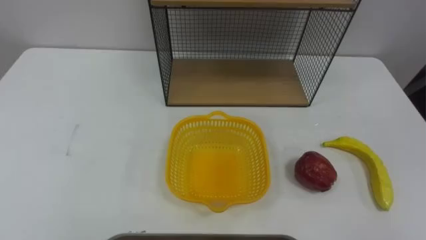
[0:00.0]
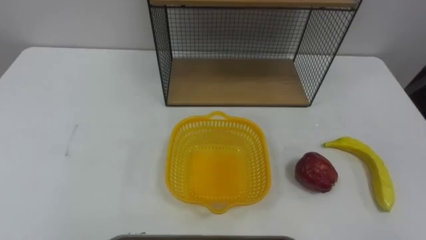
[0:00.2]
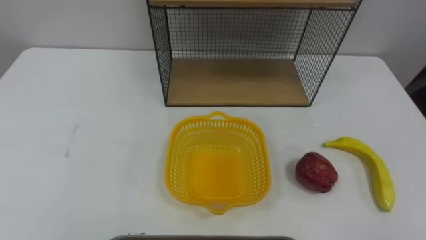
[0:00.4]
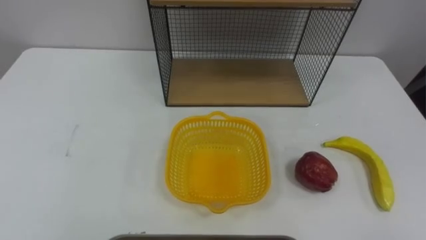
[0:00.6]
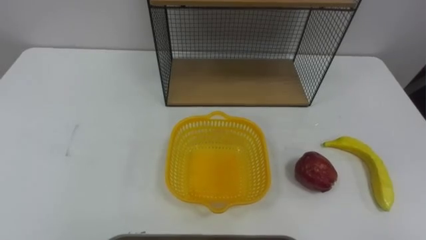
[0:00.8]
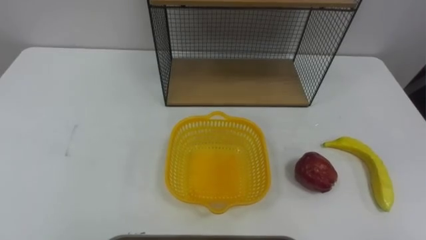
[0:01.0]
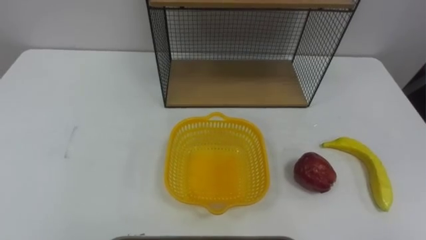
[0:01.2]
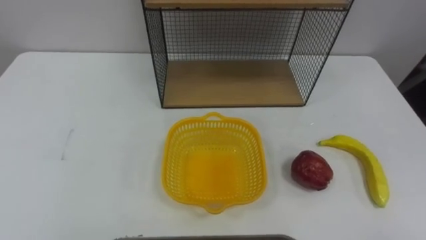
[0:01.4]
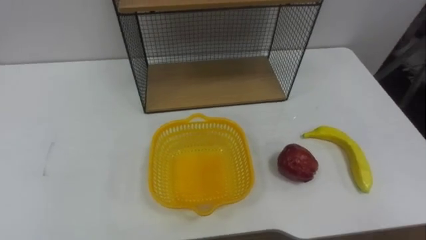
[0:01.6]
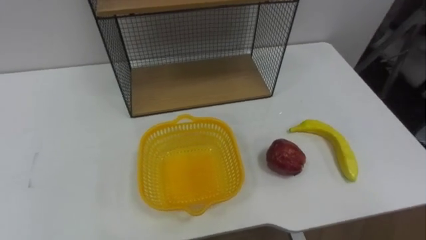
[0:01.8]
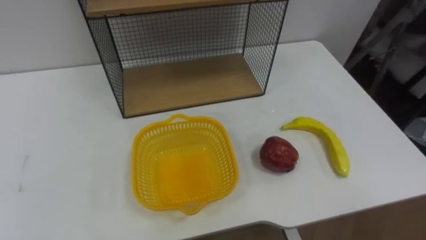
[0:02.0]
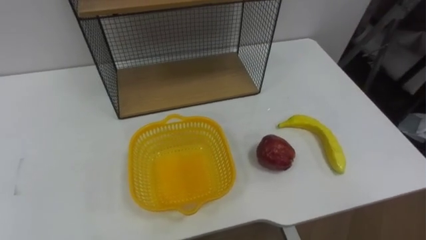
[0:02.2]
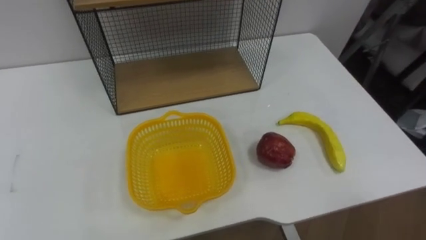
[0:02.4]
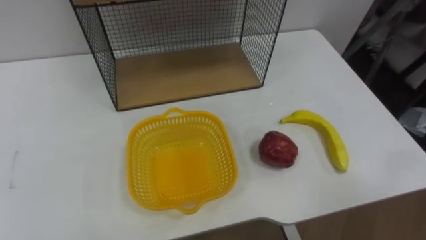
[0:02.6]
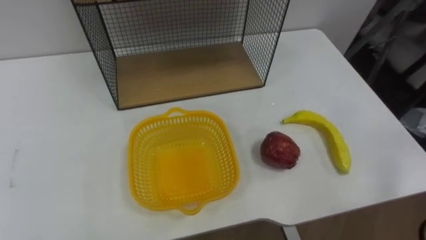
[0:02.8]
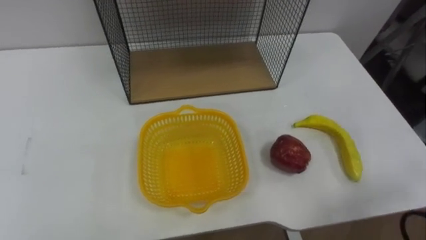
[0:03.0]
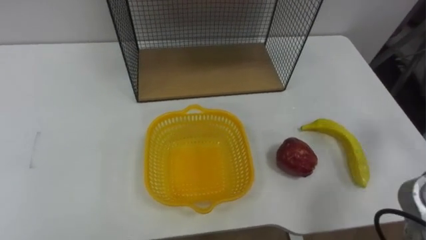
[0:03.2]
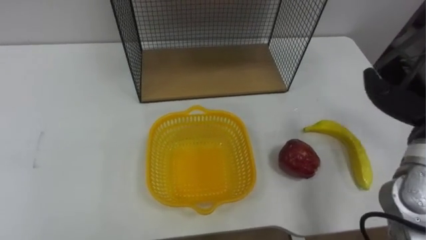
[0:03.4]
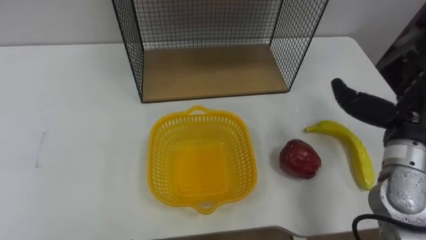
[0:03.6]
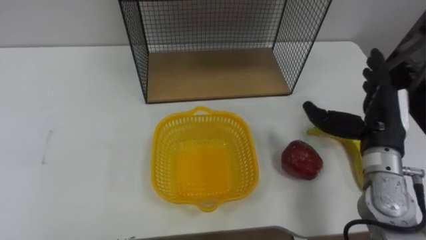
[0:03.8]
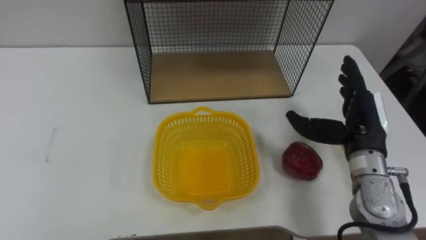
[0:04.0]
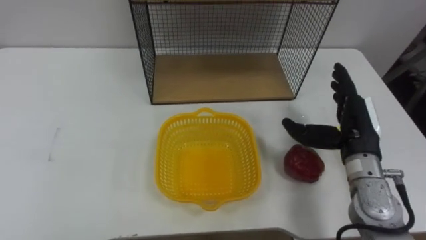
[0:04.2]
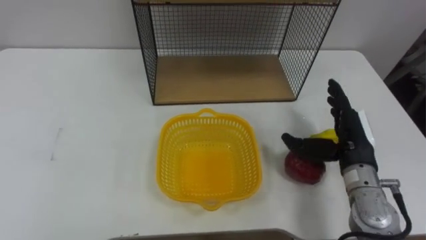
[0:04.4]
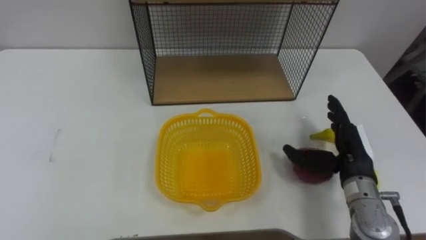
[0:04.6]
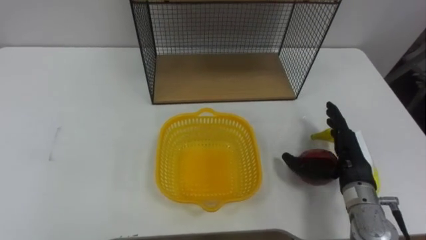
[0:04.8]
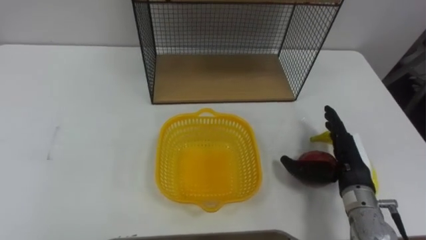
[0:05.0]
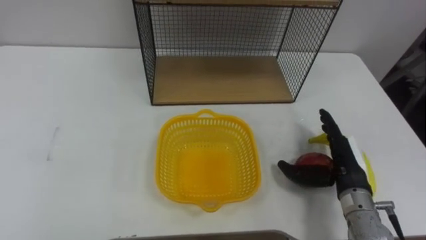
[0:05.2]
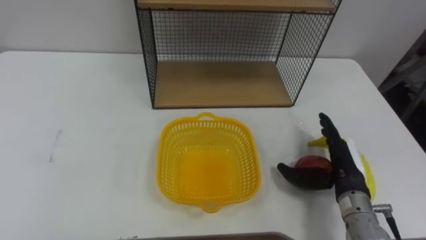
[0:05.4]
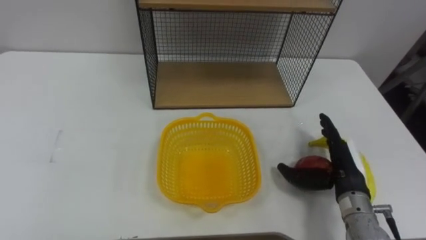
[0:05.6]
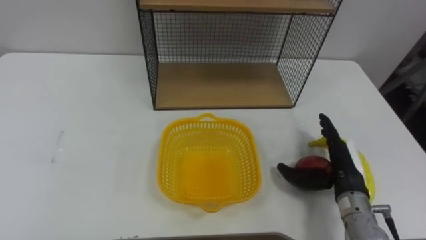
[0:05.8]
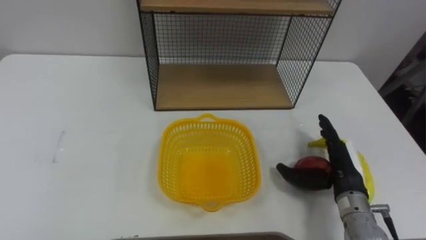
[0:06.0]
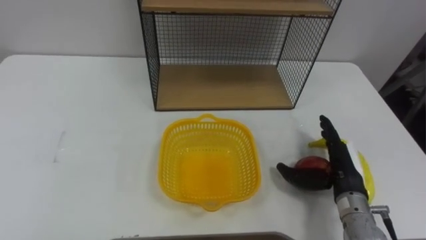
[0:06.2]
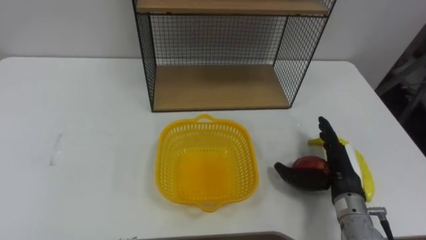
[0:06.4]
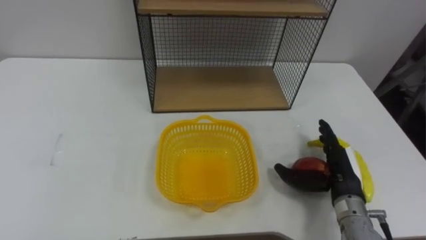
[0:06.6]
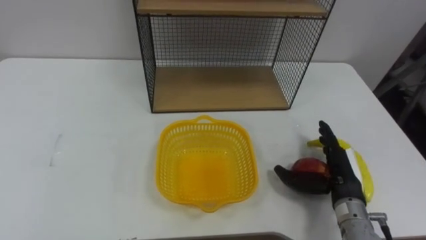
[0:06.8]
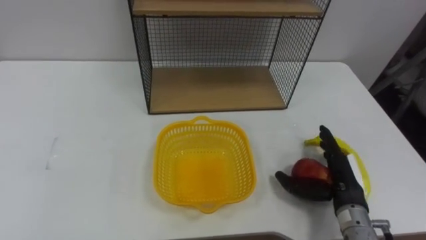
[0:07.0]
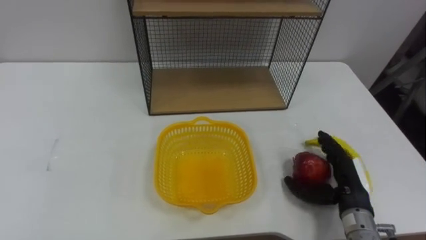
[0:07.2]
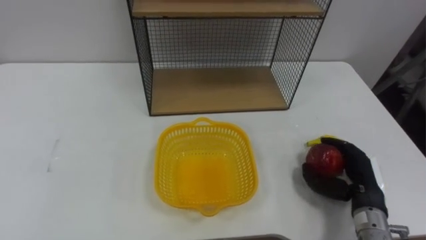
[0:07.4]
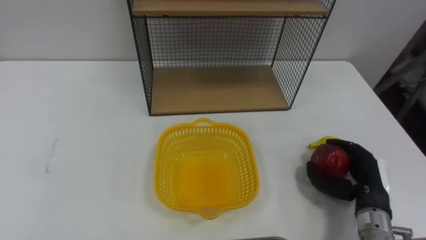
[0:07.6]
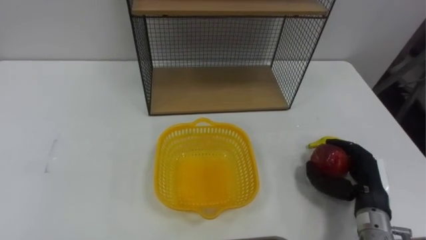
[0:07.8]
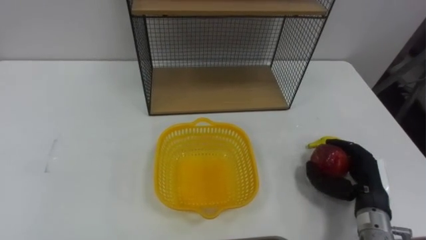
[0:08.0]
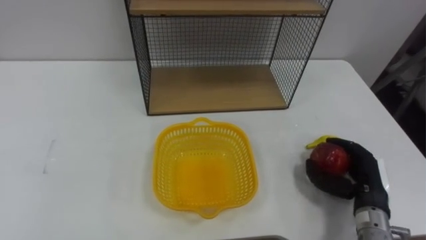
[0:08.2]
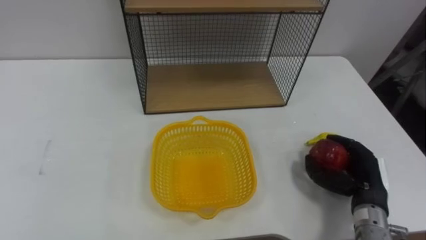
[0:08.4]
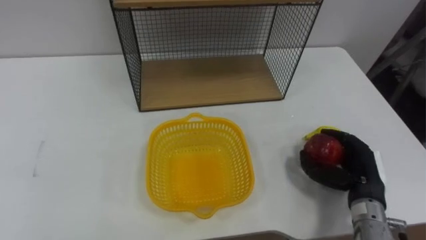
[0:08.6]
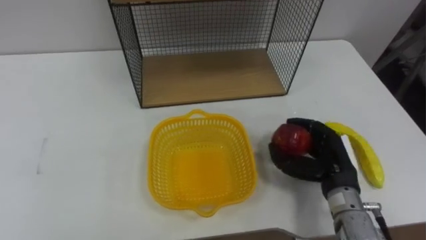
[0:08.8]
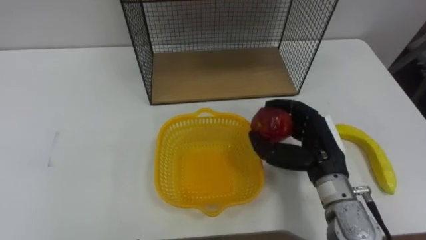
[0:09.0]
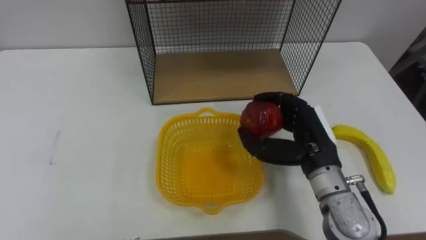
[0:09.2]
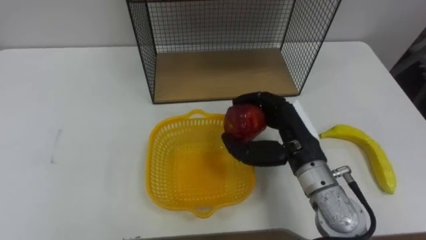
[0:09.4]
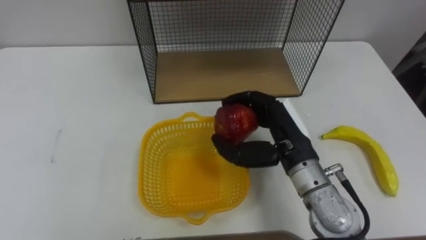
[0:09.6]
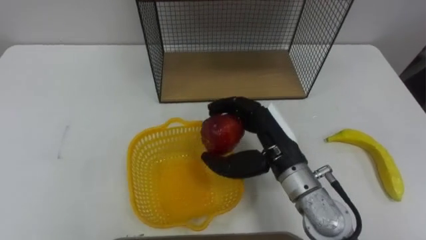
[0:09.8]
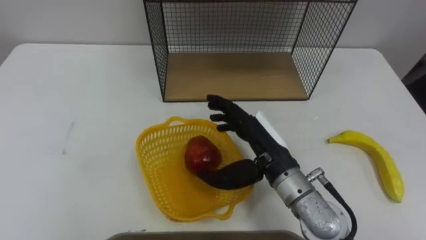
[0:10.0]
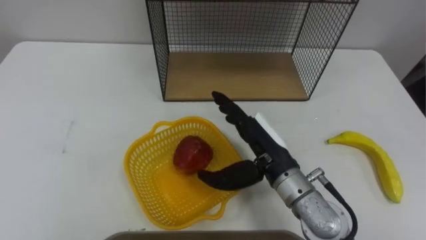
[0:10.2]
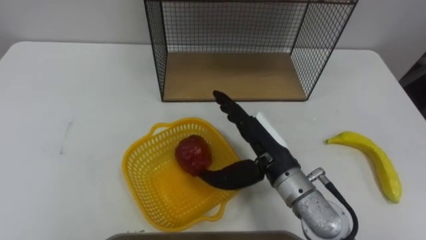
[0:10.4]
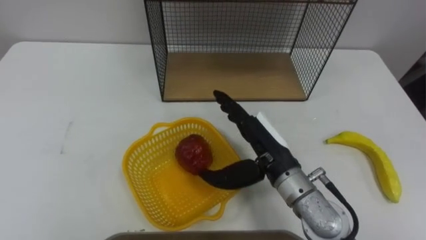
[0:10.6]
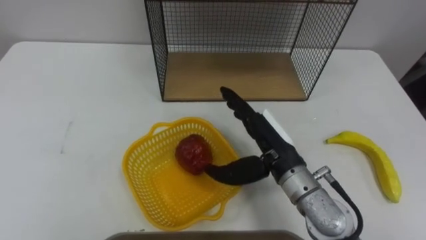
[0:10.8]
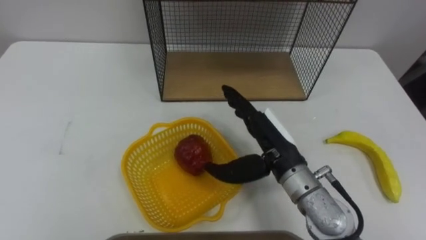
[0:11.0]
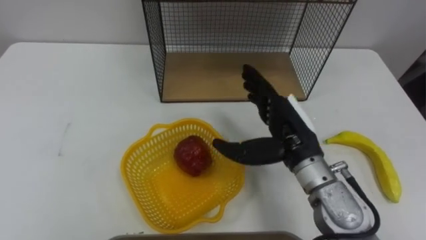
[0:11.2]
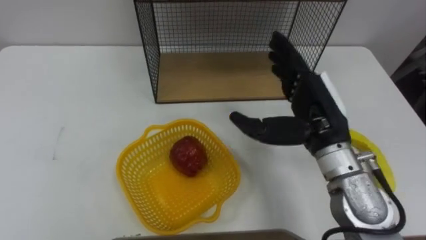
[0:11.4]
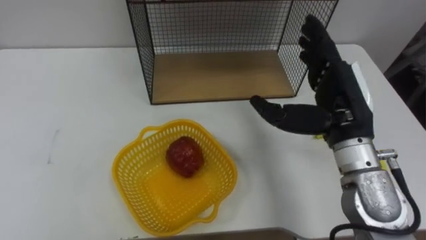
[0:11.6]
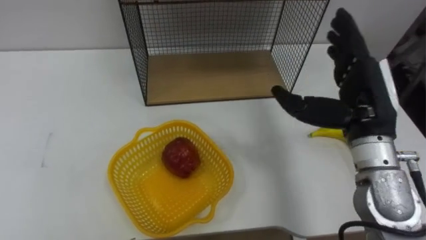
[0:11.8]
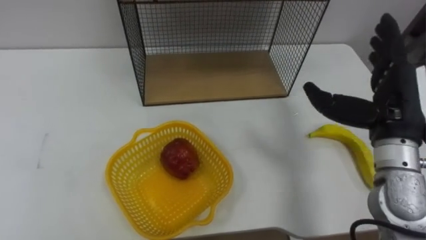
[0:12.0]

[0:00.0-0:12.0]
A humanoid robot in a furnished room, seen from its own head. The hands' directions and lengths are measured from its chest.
Task of the whole recording: Put the fruit on the table into the basket, then place the basket on the shelf.
0:04.4 to 0:06.0: The right hand travels downward by approximately 5 cm.
0:06.0 to 0:07.6: The right hand changes place by some 5 cm, and closes its fingers.
0:07.6 to 0:09.0: The right hand travels to the left and upward by some 15 cm.
0:09.0 to 0:10.4: The right hand is displaced to the left by about 10 cm, and opens.
0:10.4 to 0:12.0: The right hand travels to the right and upward by roughly 20 cm.

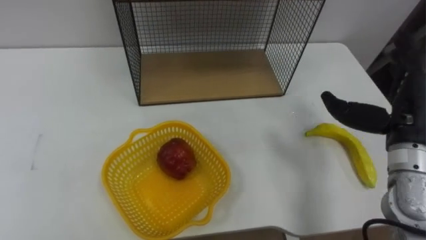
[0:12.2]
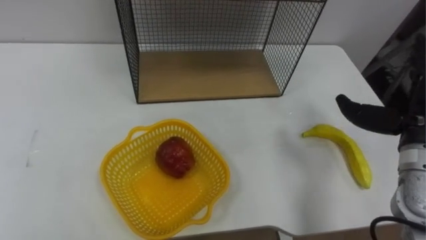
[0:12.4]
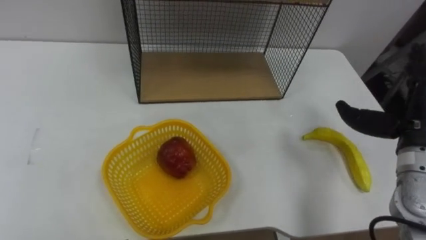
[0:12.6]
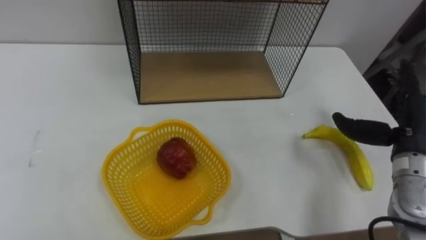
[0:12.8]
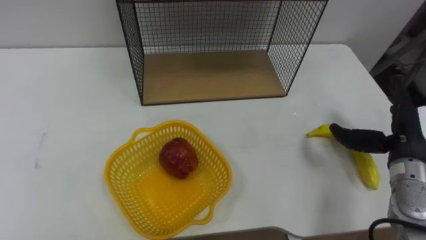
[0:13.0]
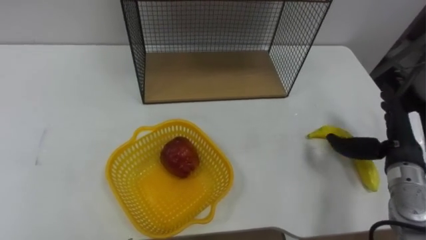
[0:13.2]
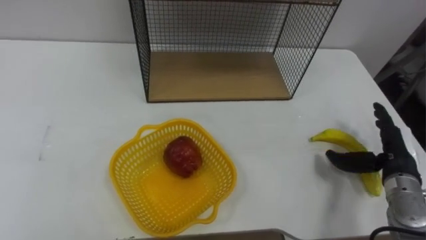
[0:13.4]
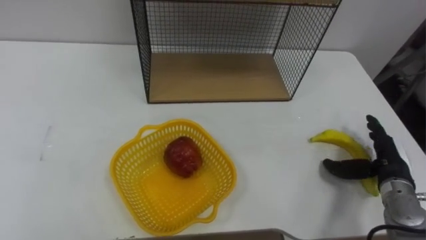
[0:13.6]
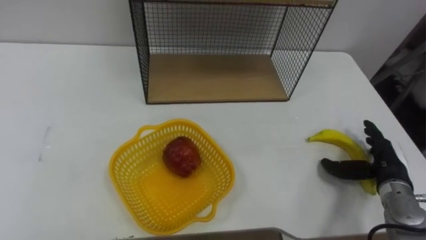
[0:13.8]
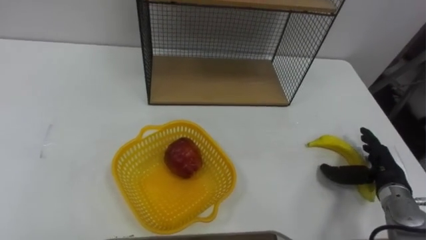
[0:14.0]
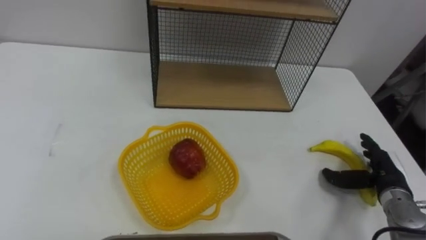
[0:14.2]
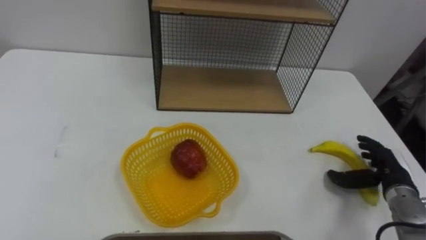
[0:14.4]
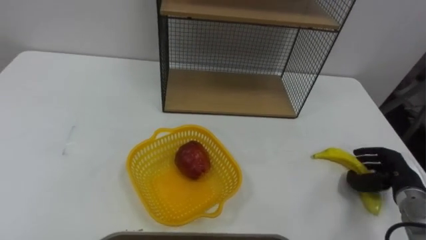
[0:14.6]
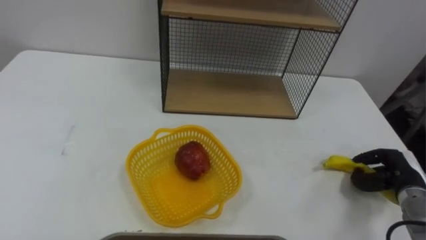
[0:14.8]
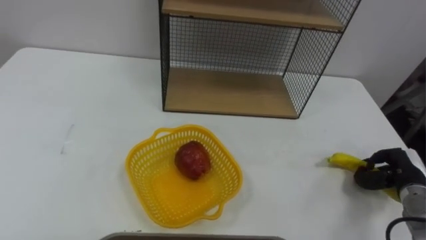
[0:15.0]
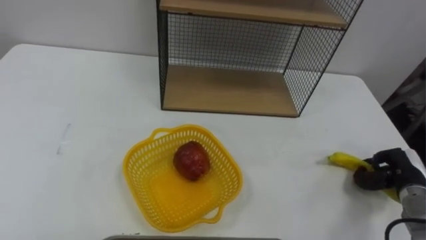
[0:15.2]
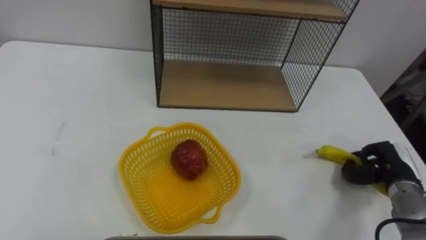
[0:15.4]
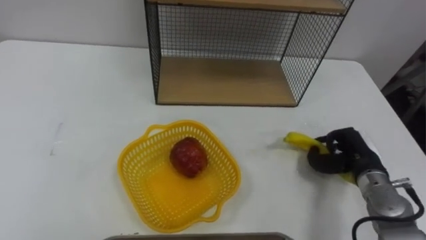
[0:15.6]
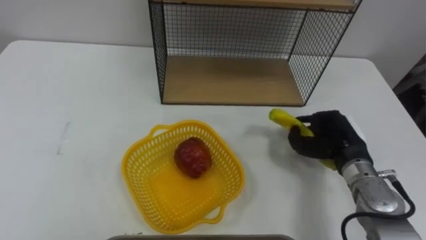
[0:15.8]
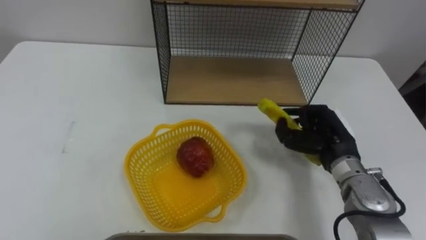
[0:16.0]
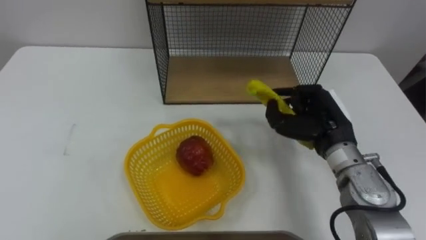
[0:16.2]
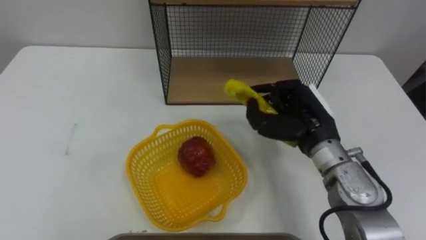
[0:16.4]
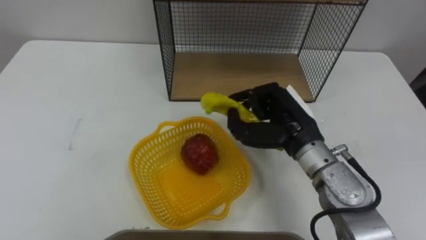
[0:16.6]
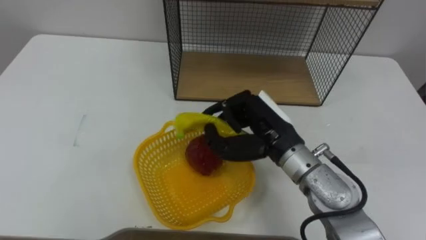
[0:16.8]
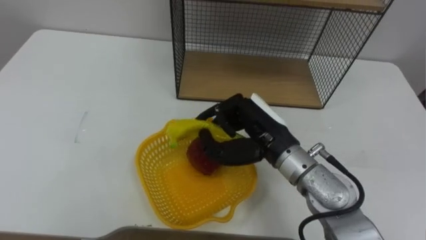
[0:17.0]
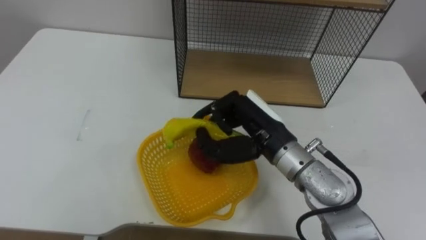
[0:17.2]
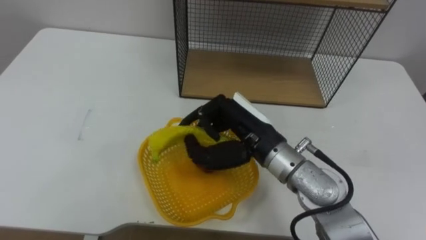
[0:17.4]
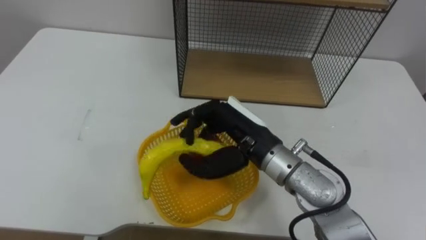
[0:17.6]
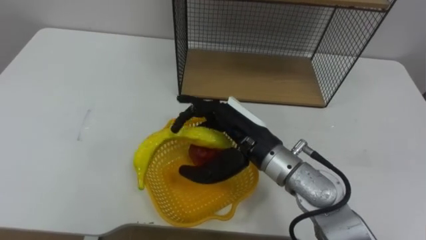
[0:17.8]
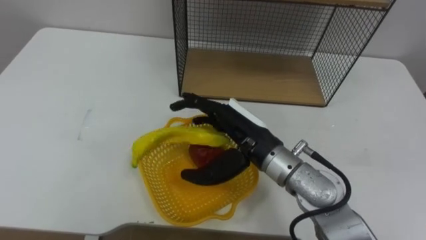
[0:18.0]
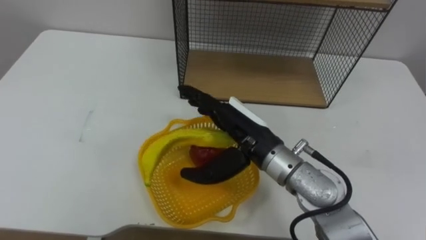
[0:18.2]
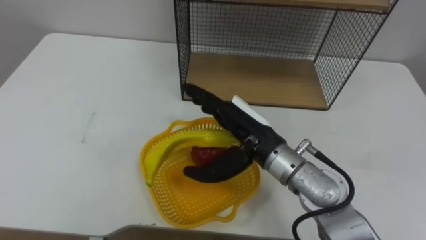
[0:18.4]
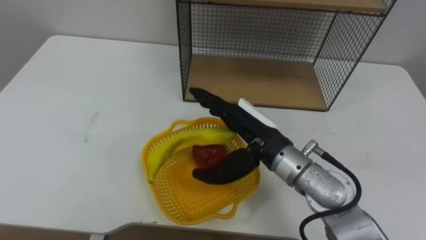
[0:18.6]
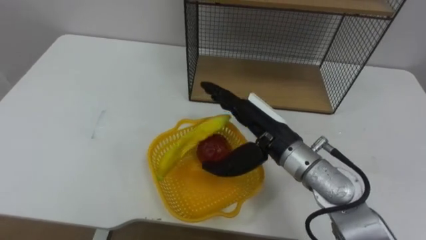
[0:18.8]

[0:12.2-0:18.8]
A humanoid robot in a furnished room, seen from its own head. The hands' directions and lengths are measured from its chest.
Task of the whole recording: Put the fruit on the table into the basket, then place the basket on the shelf.
0:13.8 to 0:15.4: The right hand closes its fingers.
0:15.4 to 0:17.2: The right hand is displaced to the left and upward by some 30 cm.
0:17.2 to 0:18.8: The right hand opens its fingers.
